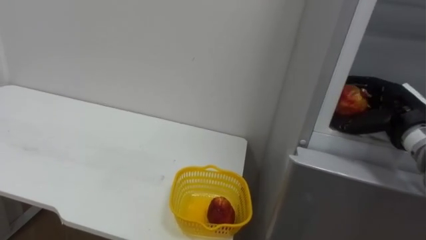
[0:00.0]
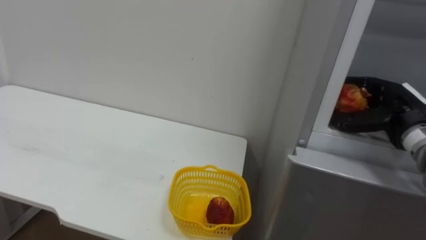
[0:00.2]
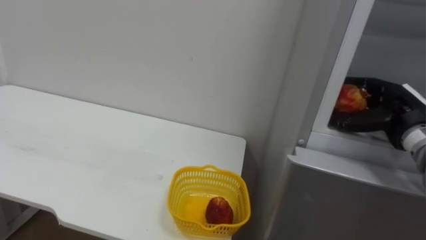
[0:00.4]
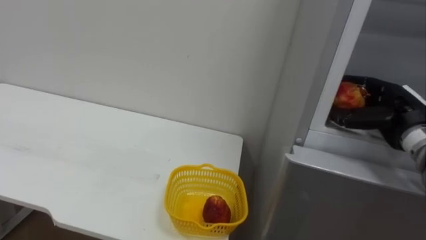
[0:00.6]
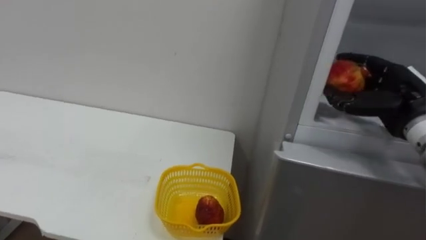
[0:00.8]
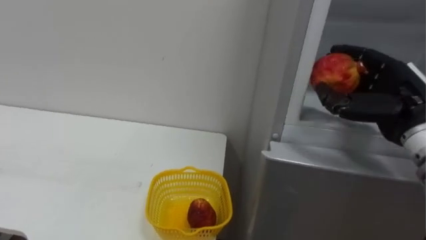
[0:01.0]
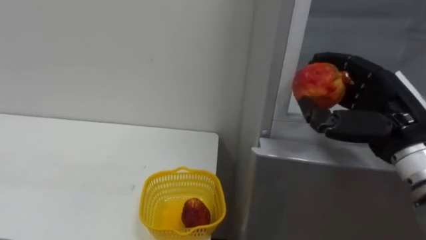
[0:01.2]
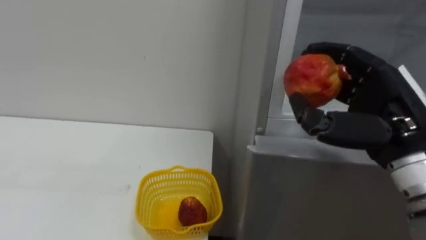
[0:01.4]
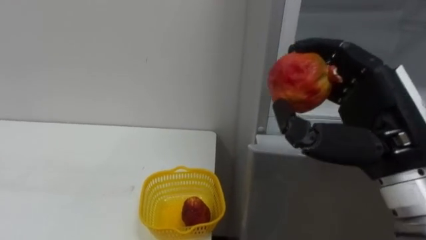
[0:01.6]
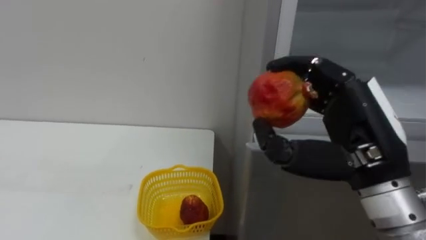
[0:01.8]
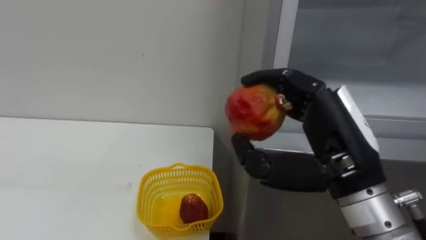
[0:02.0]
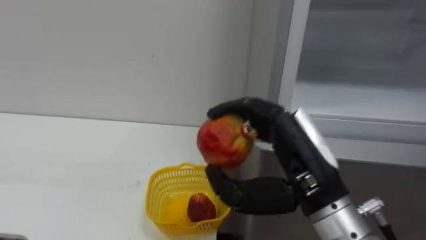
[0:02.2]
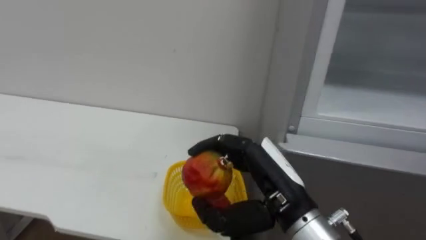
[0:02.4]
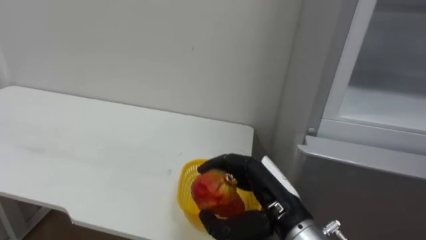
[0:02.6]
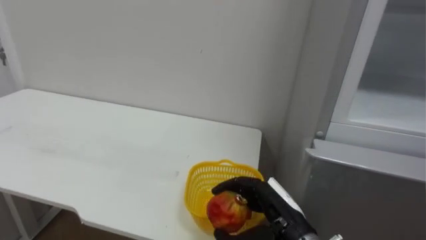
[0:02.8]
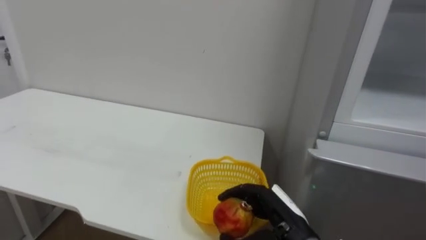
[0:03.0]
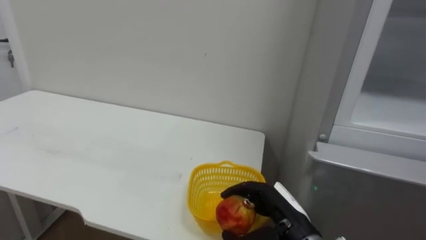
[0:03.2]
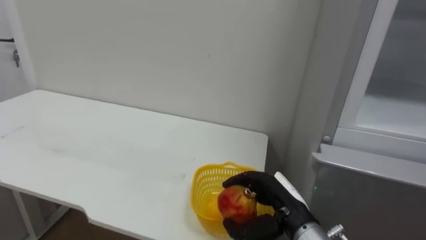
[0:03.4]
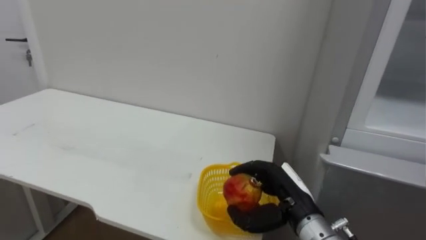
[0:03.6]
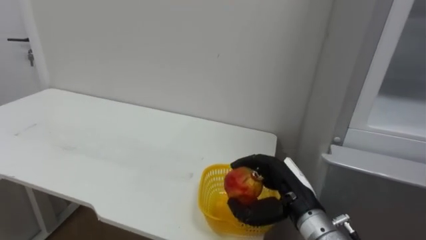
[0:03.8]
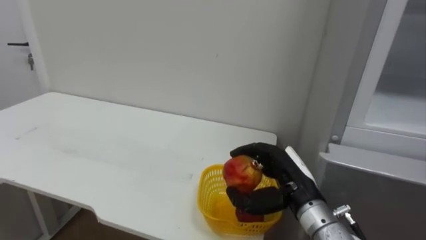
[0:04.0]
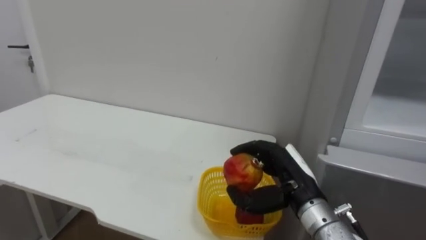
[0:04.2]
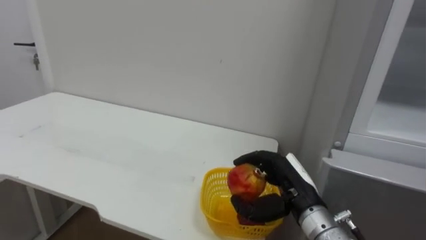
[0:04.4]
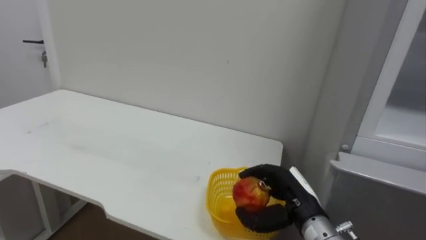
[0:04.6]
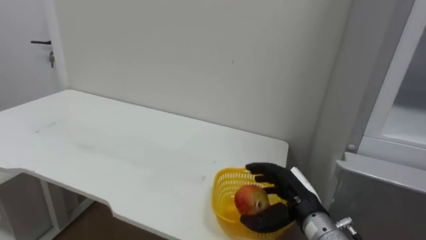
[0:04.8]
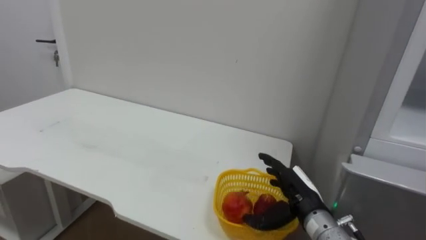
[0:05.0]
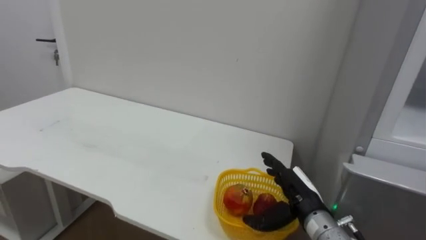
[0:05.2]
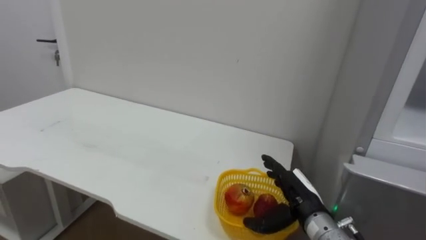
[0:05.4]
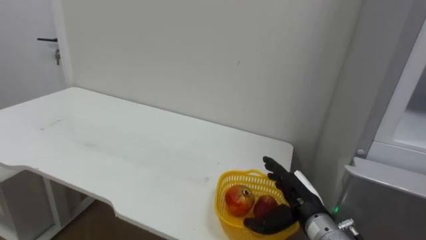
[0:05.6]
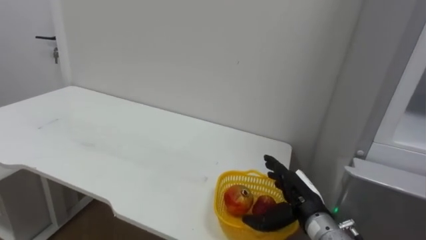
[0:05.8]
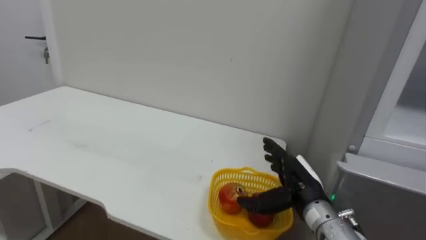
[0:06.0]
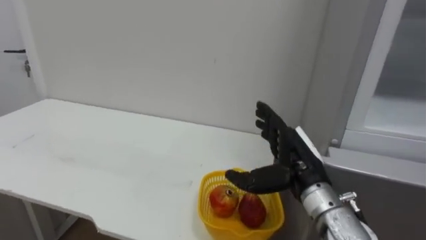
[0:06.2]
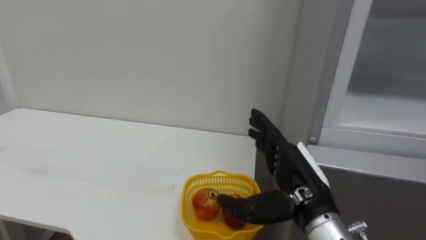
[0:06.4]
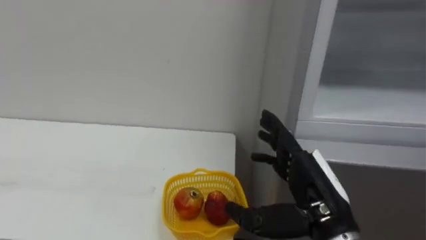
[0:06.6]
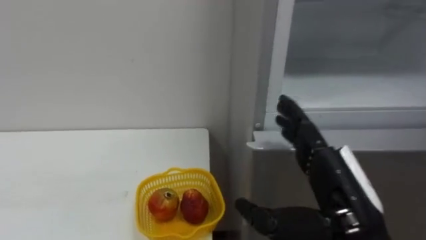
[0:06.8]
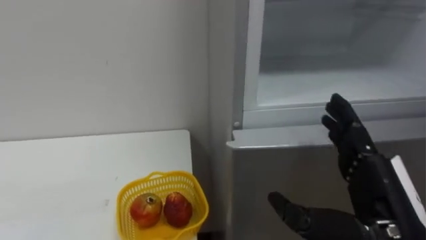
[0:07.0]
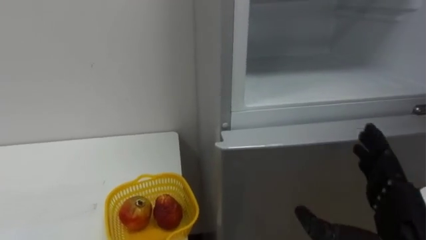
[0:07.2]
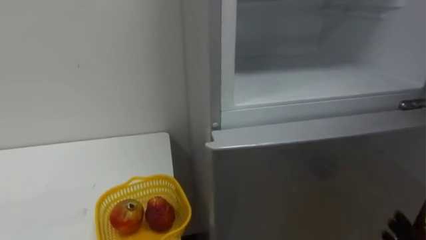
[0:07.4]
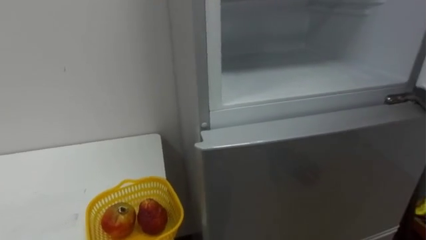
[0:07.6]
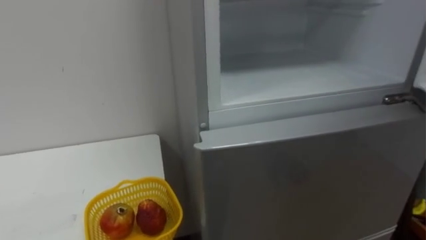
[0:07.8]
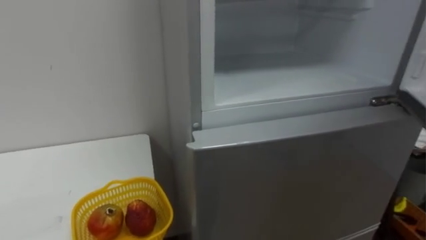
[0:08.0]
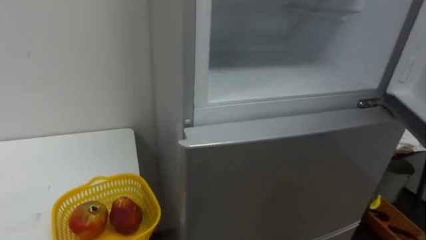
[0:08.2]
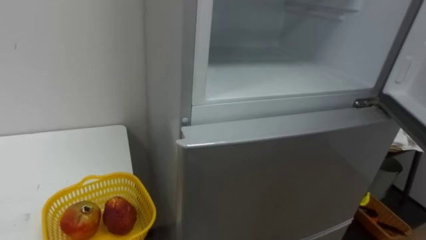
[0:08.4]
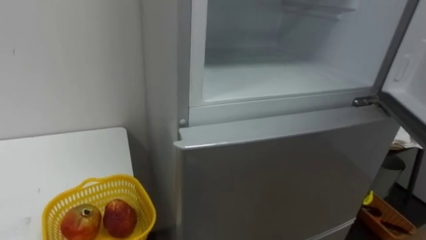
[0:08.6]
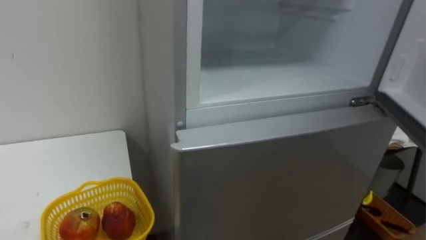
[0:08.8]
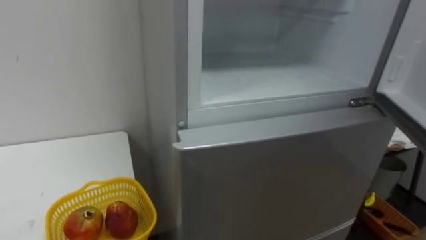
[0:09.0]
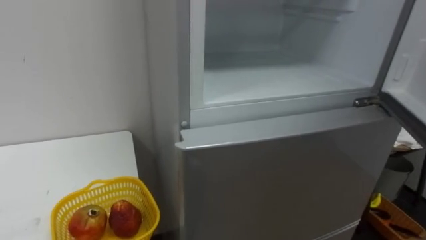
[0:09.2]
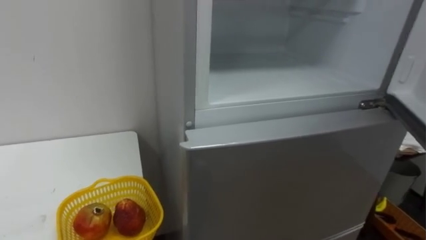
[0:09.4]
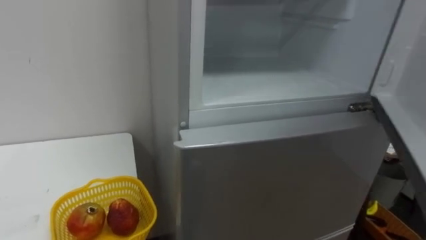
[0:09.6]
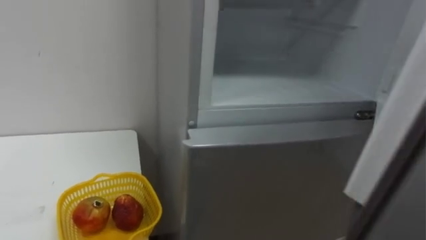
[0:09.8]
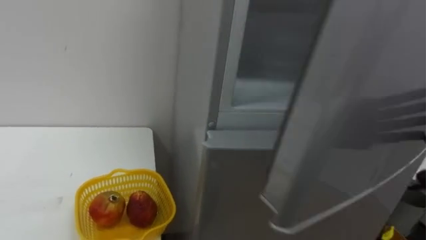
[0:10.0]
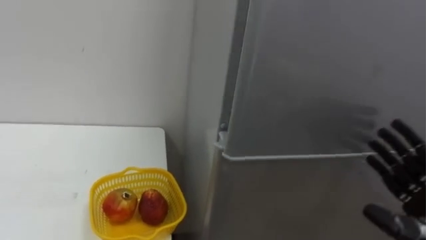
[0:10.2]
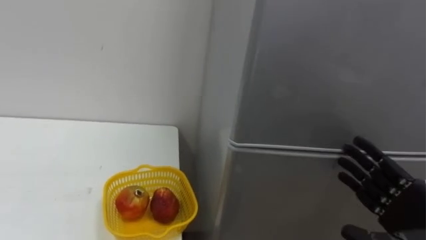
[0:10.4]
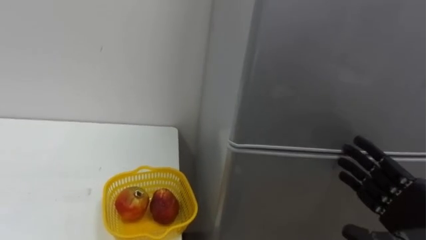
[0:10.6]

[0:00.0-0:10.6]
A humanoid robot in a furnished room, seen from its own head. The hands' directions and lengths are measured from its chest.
Task of the whole recording: Open the refrigerator door, take out the apple and the pomegranate, place them in the fruit basket on the left, and close the refrigerator door.
0:00.0 to 0:01.6: The right hand travels backward, to the left and upward by about 20 cm.
0:01.6 to 0:03.0: The right hand shifts about 20 cm downward.
0:04.6 to 0:06.0: The right hand opens its fingers.

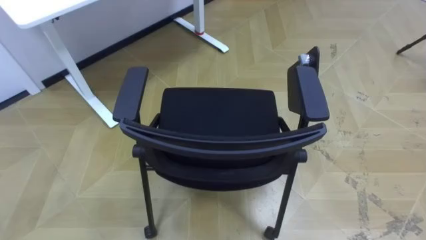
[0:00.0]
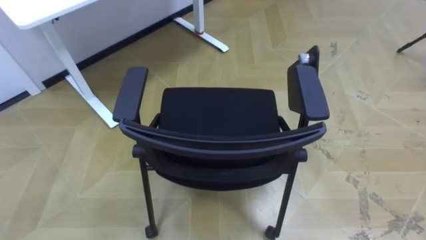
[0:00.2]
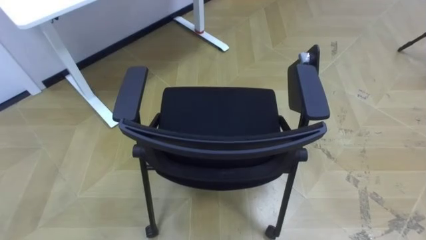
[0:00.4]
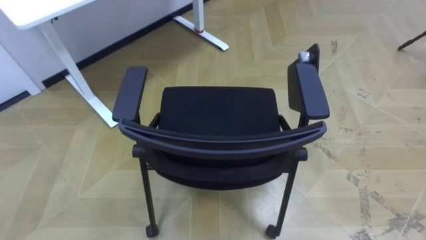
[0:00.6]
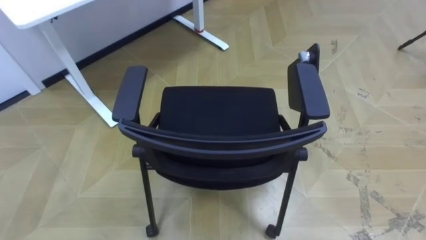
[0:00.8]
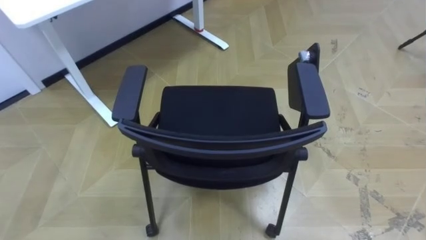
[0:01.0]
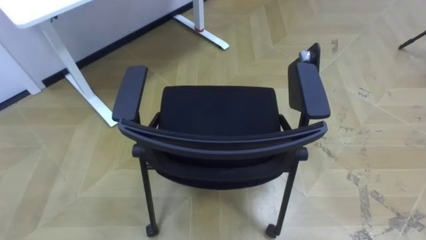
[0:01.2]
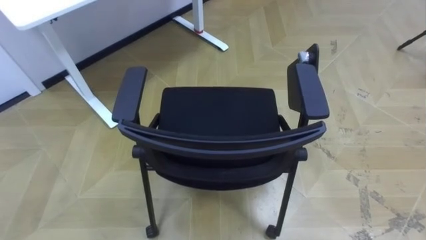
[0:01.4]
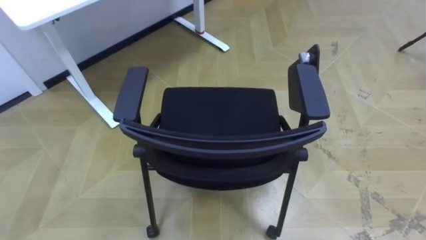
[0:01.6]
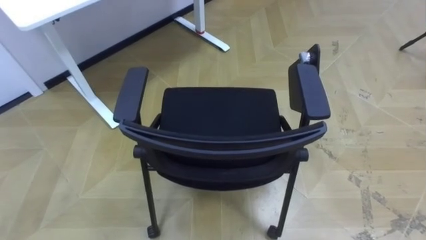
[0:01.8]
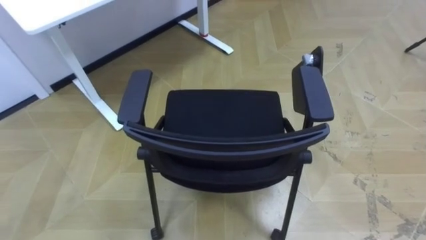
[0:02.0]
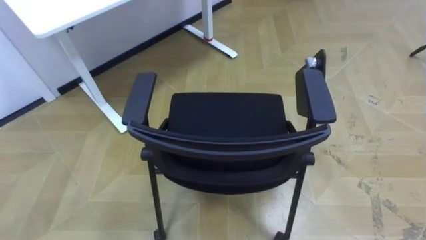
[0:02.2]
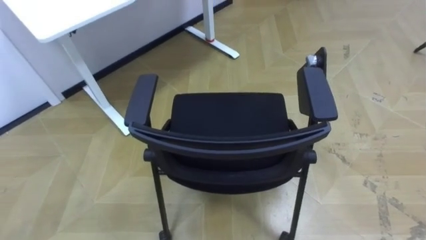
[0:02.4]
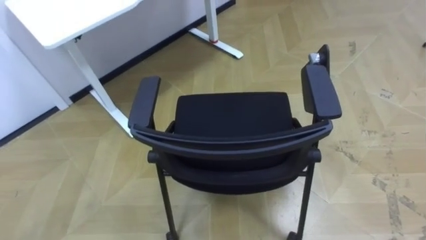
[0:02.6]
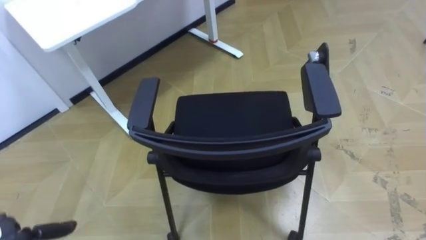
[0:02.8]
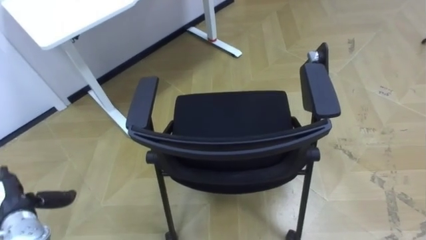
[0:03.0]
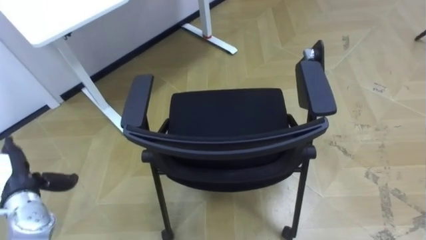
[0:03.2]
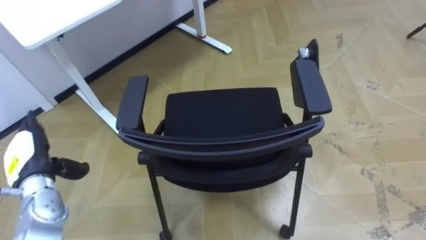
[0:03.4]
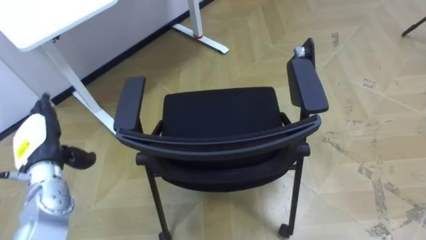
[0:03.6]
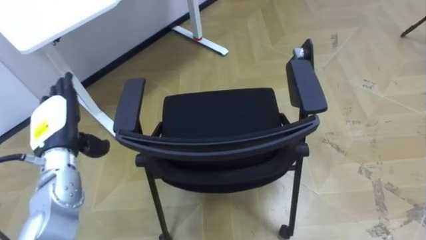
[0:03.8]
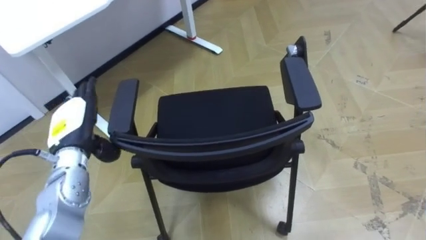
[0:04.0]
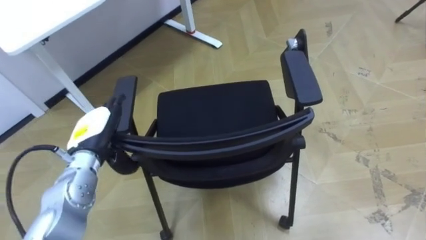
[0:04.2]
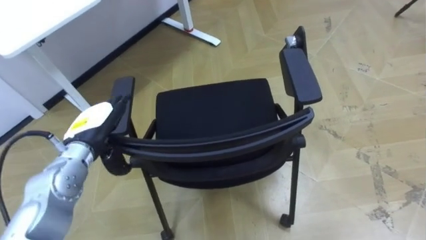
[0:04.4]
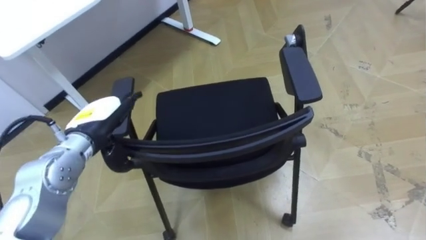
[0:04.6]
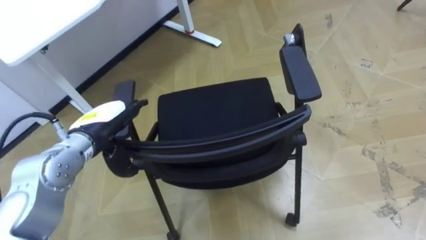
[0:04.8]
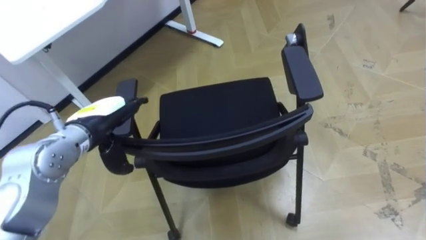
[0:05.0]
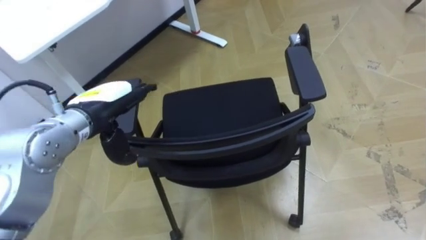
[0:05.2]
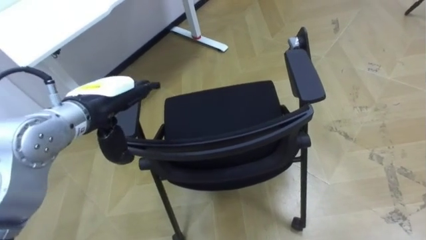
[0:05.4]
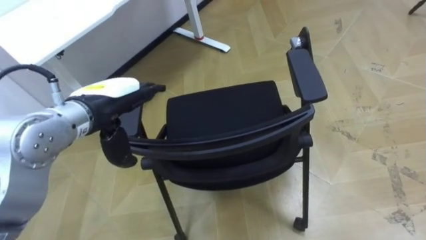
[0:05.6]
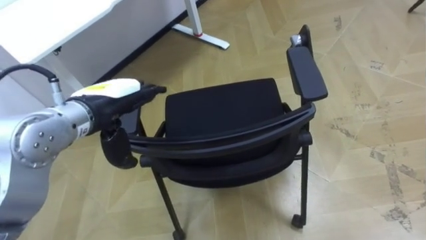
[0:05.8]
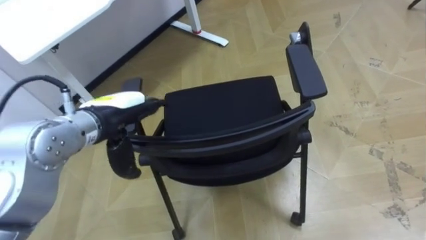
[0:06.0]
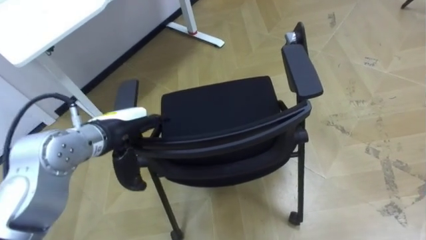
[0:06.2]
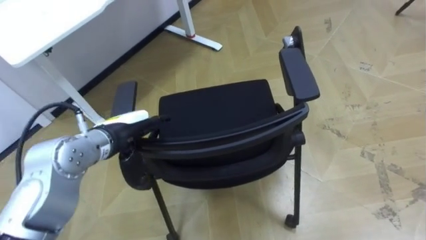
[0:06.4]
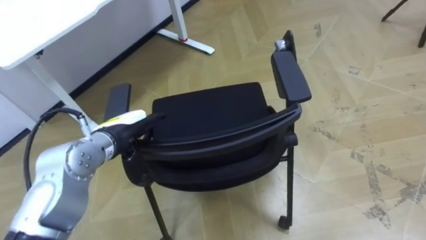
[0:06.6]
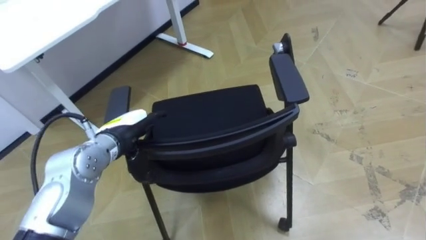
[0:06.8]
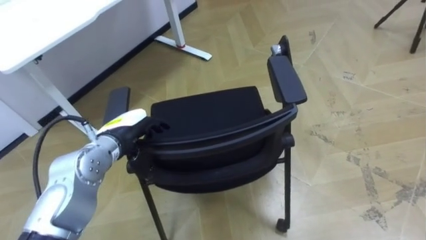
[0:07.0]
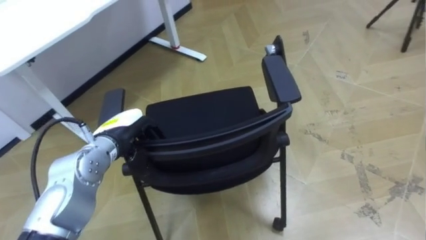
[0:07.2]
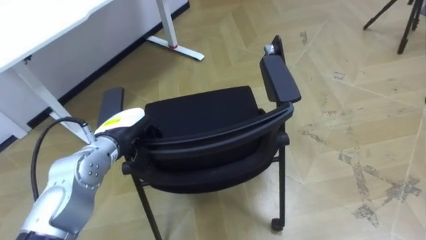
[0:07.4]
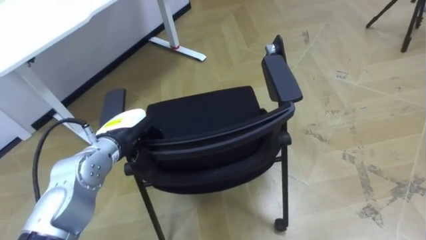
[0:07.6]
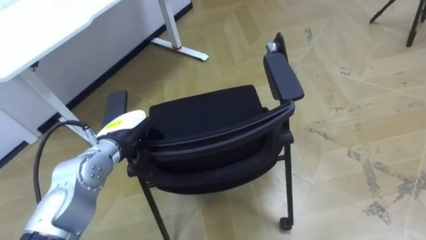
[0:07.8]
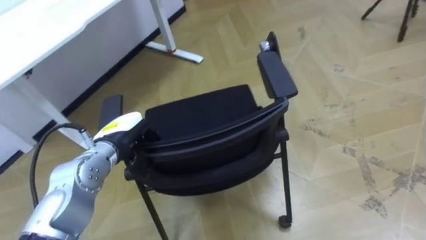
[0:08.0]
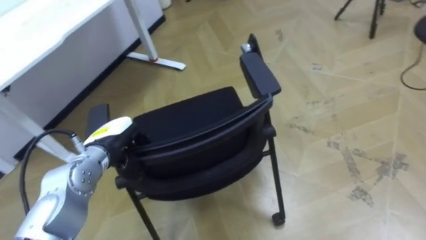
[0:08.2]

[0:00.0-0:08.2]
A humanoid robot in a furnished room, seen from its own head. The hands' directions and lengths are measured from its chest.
Task of the whole recording: Push the chair under the table.
0:03.2 to 0:05.0: The left hand is displaced to the right, upward and forward by approximately 20 cm.
0:05.0 to 0:06.6: The left hand moves roughly 5 cm upward and comes back.
0:06.6 to 0:08.2: The left hand closes.
